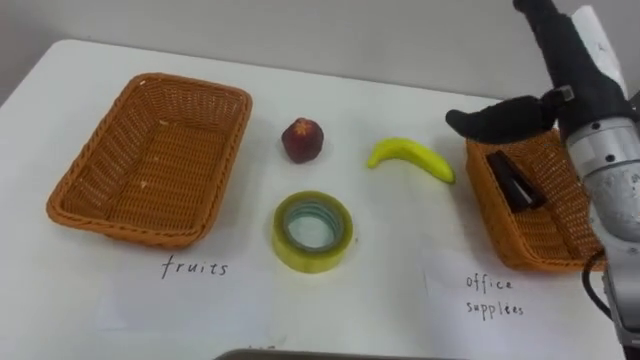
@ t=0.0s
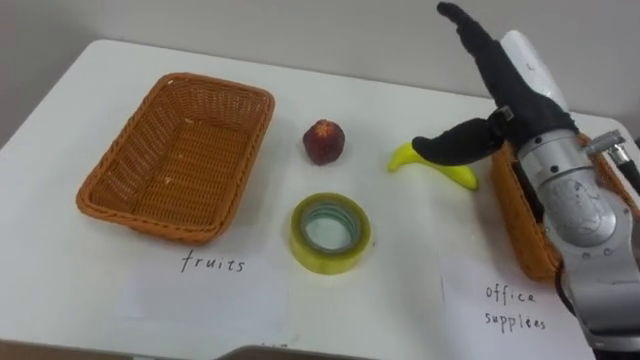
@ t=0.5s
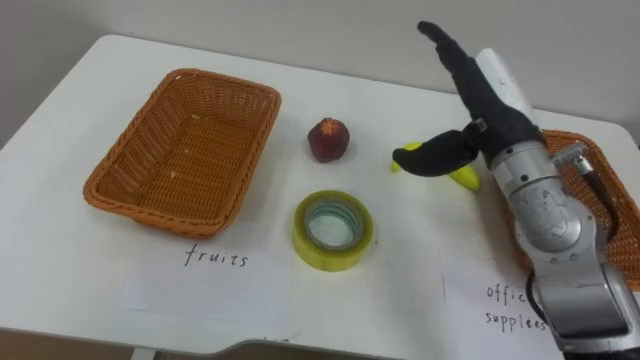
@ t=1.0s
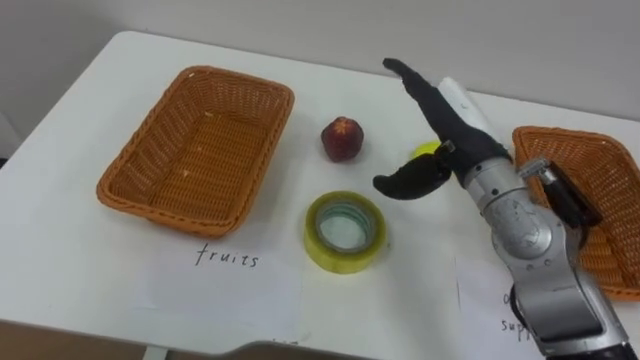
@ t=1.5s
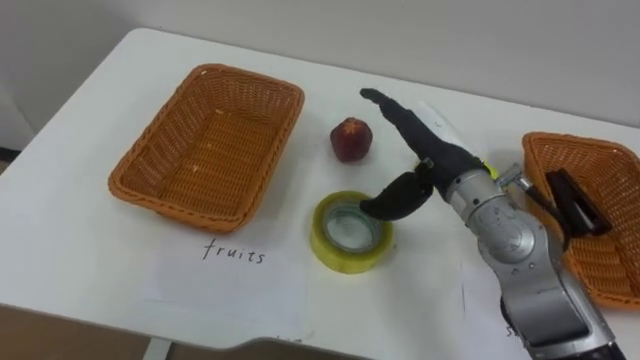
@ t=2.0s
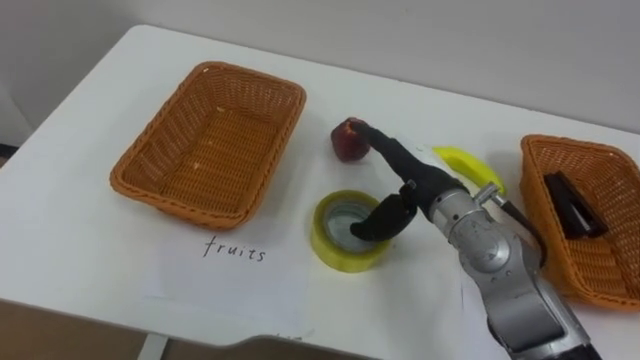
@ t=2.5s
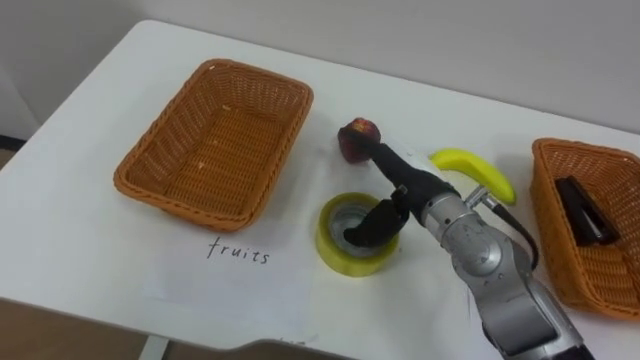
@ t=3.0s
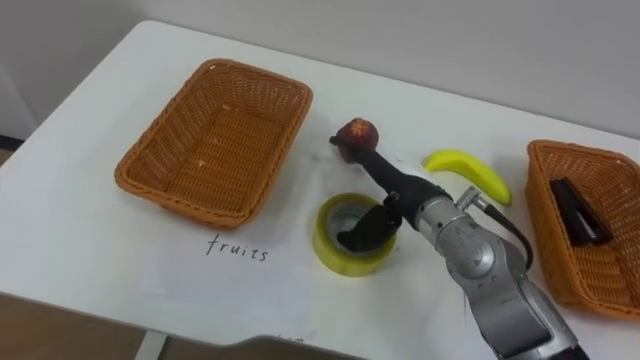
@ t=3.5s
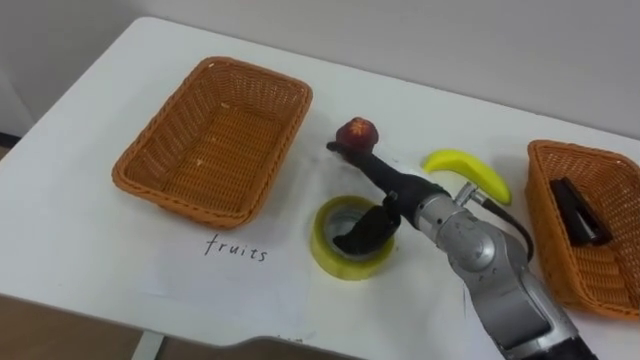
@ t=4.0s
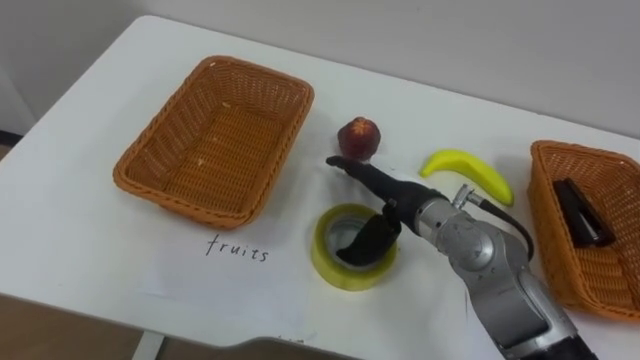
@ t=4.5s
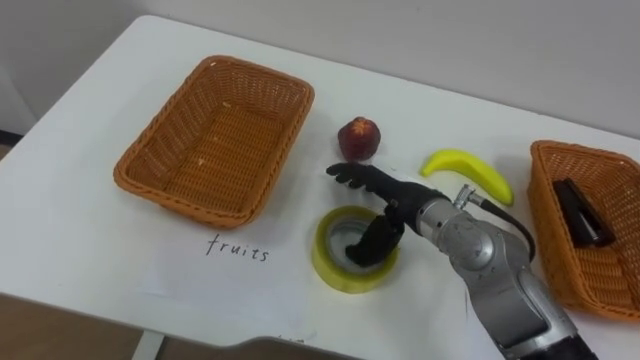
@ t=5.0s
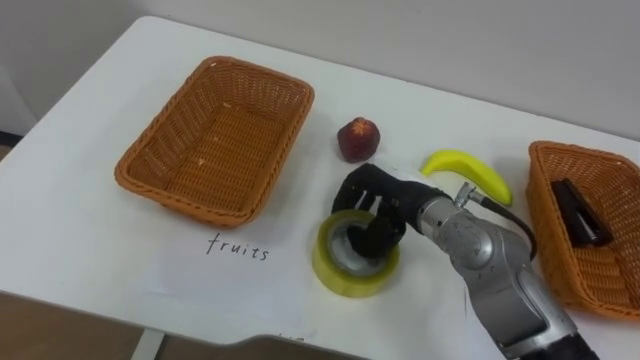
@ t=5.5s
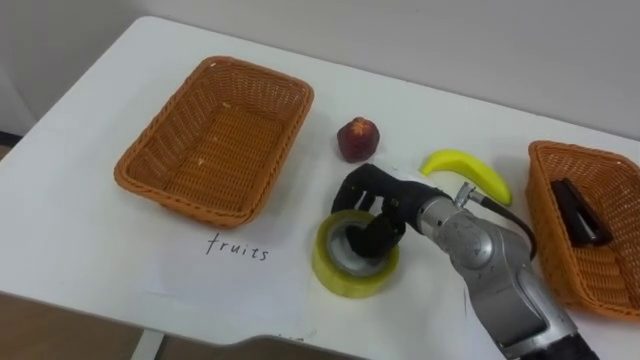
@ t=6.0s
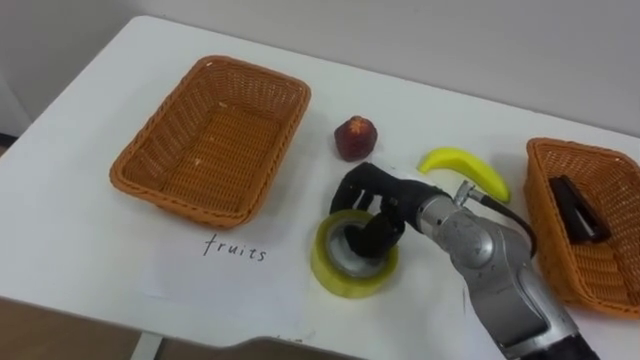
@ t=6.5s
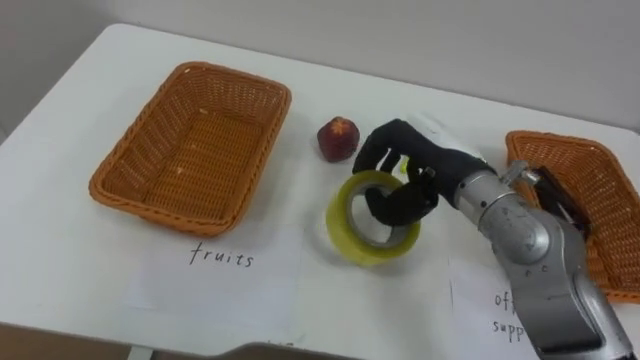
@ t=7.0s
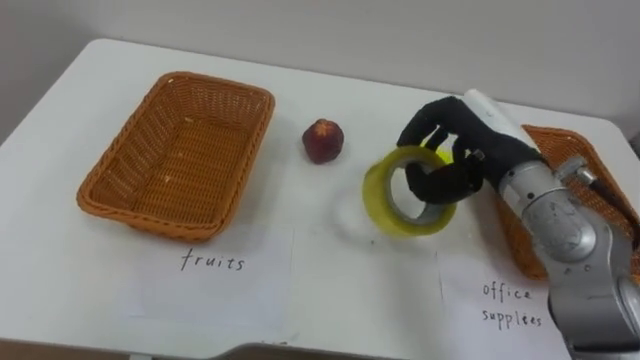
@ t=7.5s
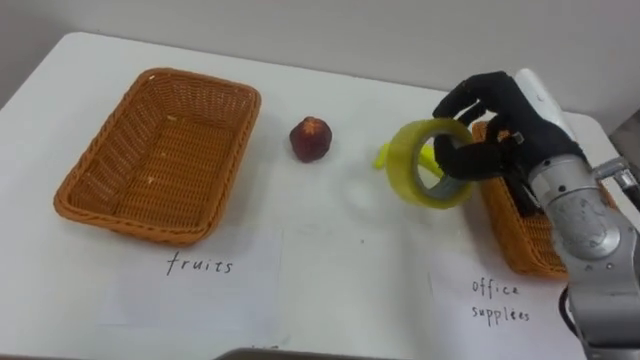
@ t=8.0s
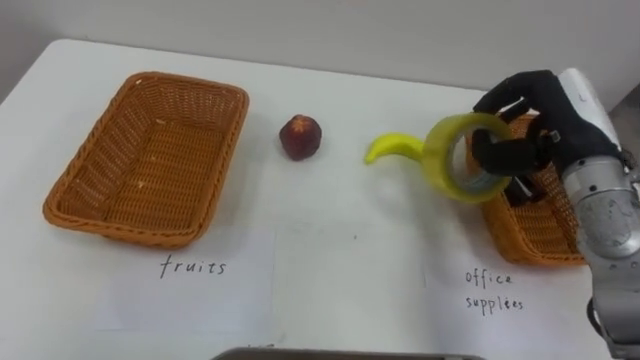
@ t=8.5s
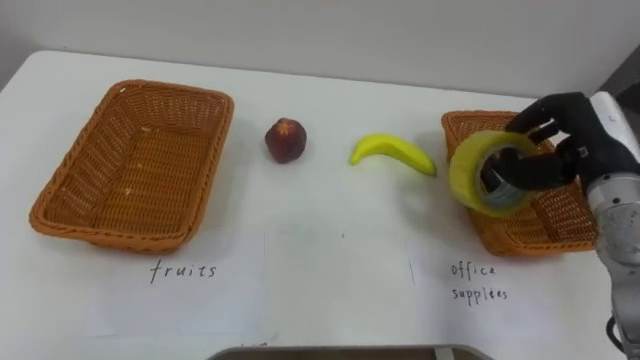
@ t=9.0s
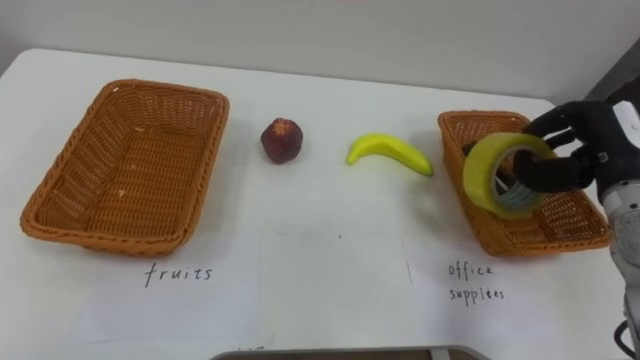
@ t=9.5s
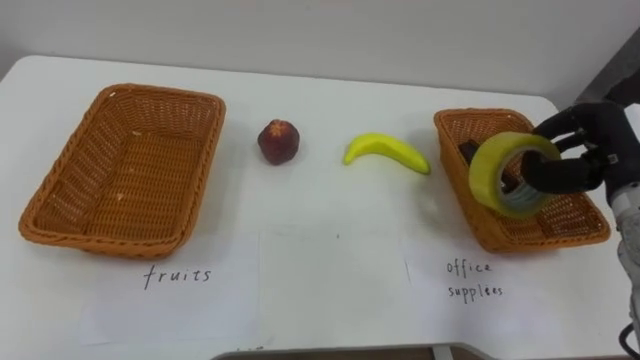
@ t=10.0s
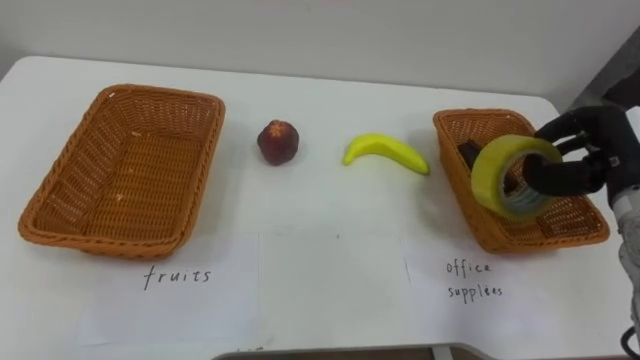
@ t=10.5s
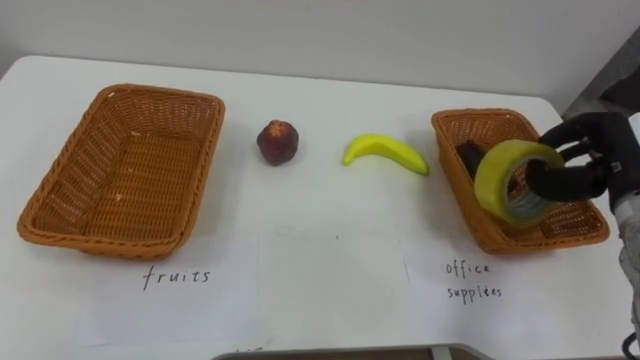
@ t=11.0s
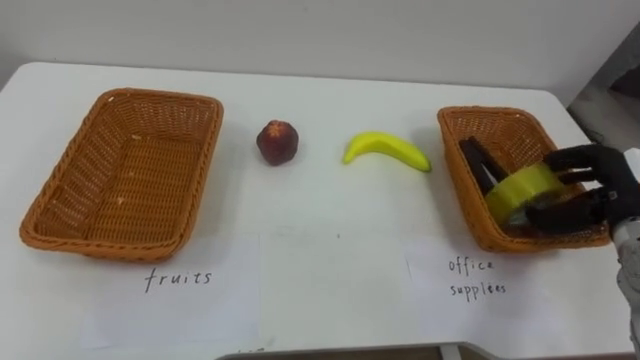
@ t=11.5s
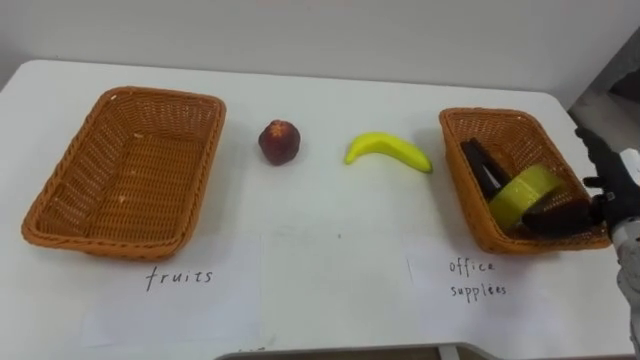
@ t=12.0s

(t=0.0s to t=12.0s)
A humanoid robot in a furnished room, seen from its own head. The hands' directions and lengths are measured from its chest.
Task of the whole recording: Separate the items on the table and place them into the two baskets.
t=0.0s - t=2.0s: The right hand travels to the left and downward by roughly 15 cm.
t=2.0s - t=4.0s: The right hand ends up approximately 5 cm from where it was.
t=4.0s - t=6.0s: The right hand closes its fingers.
t=6.0s - t=8.0s: The right hand moves to the right and upward, roughly 15 cm.
t=8.0s - t=10.0s: The right hand is displaced to the right by about 10 cm.
t=10.0s - t=12.0s: The right hand changes place by some 5 cm, and opens up.

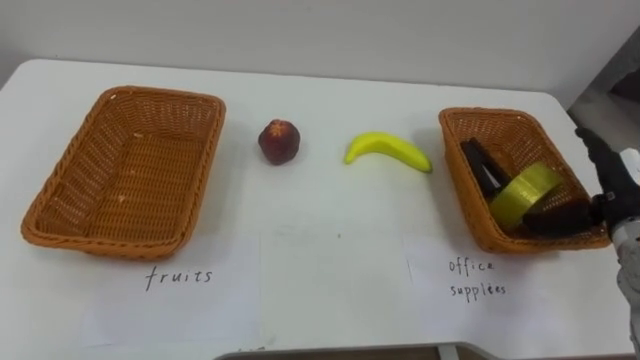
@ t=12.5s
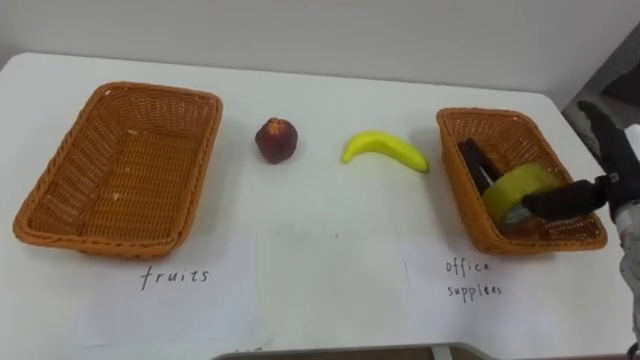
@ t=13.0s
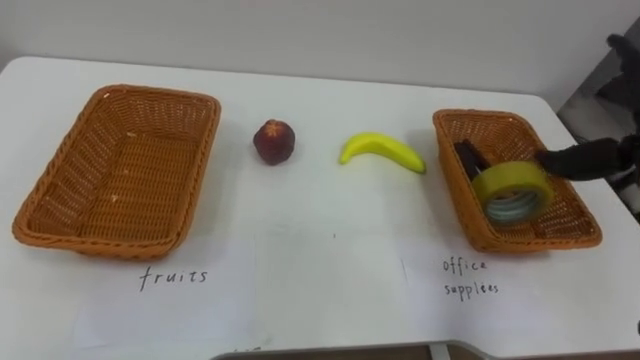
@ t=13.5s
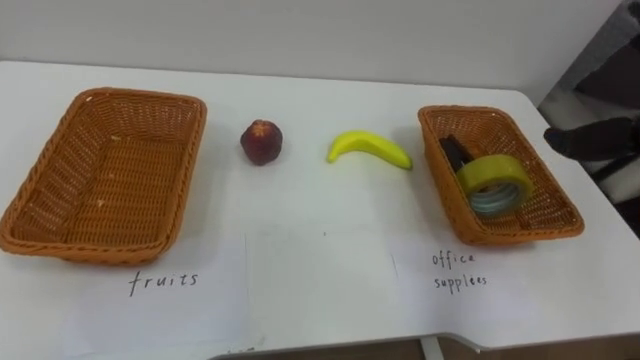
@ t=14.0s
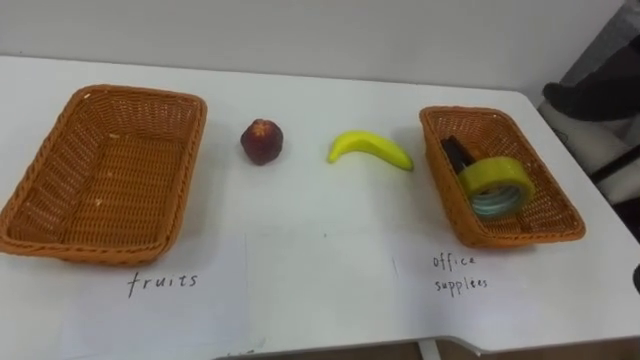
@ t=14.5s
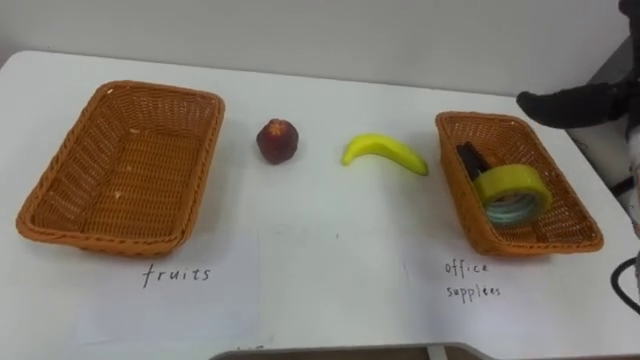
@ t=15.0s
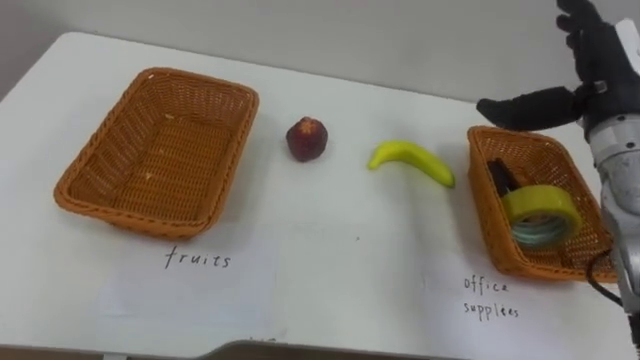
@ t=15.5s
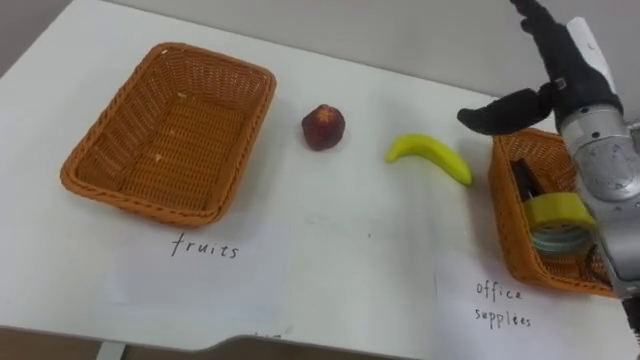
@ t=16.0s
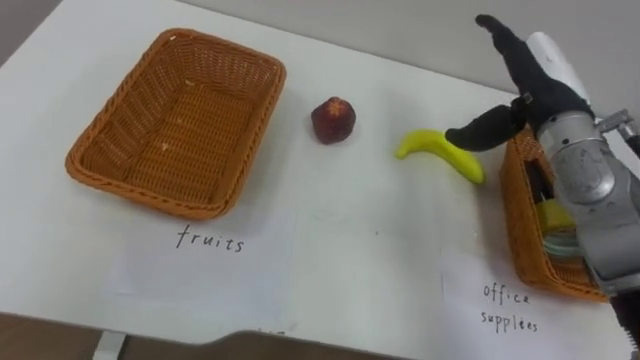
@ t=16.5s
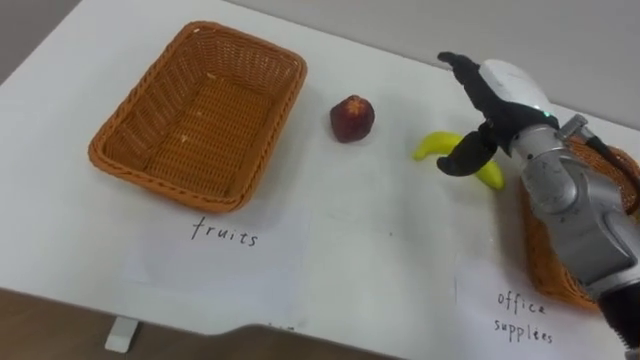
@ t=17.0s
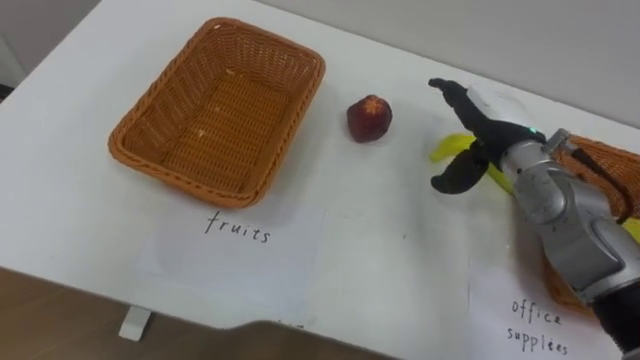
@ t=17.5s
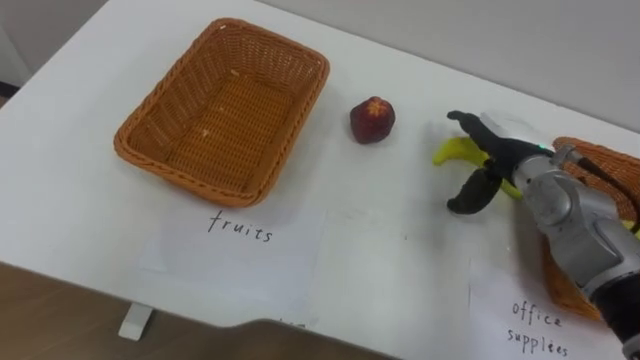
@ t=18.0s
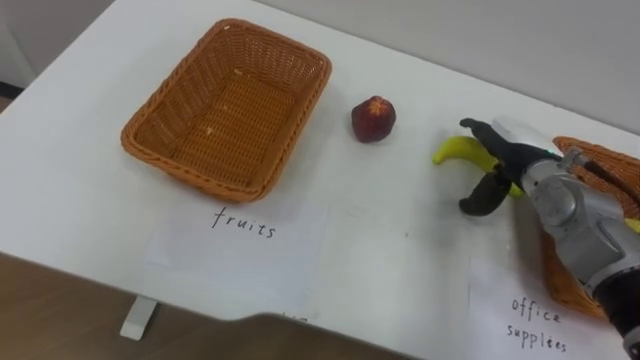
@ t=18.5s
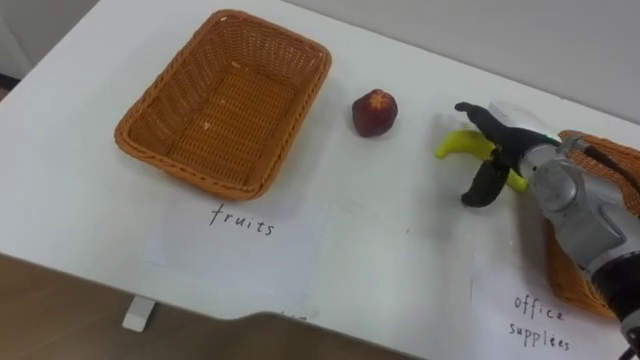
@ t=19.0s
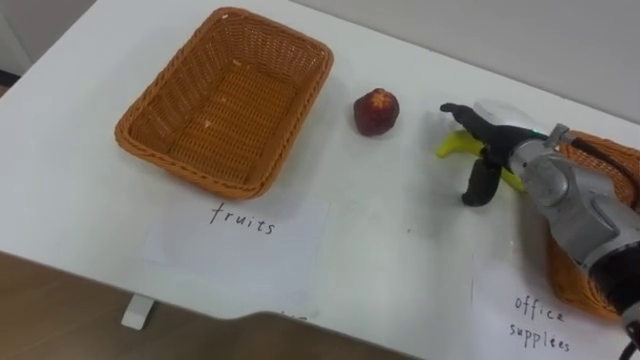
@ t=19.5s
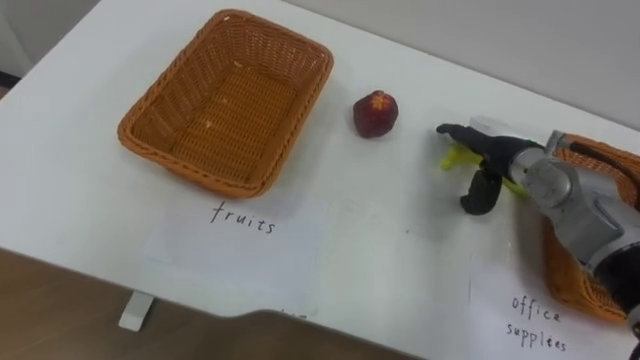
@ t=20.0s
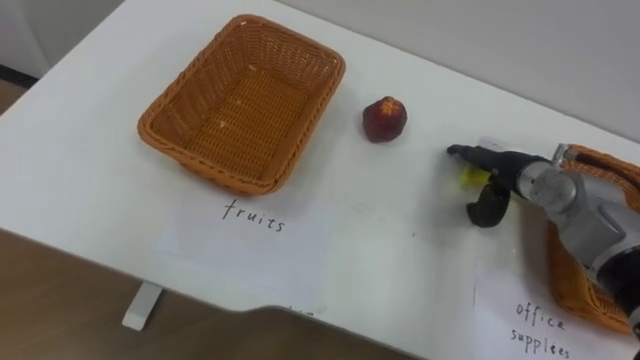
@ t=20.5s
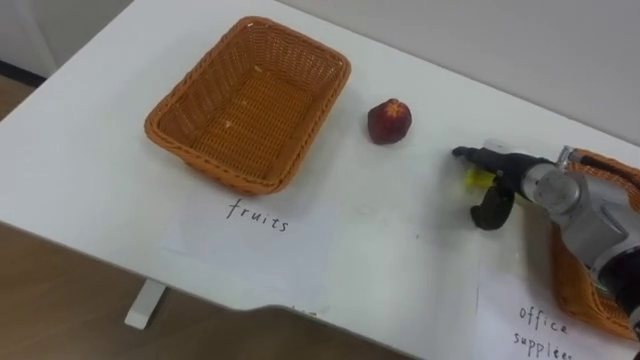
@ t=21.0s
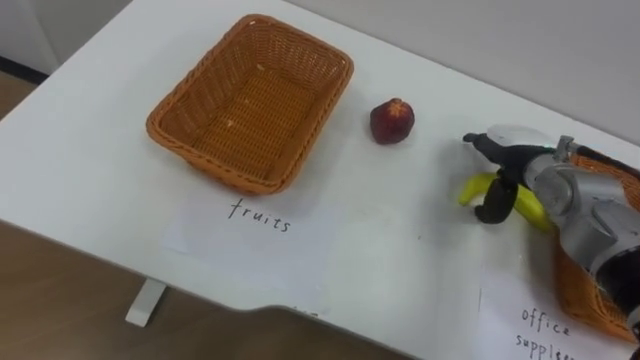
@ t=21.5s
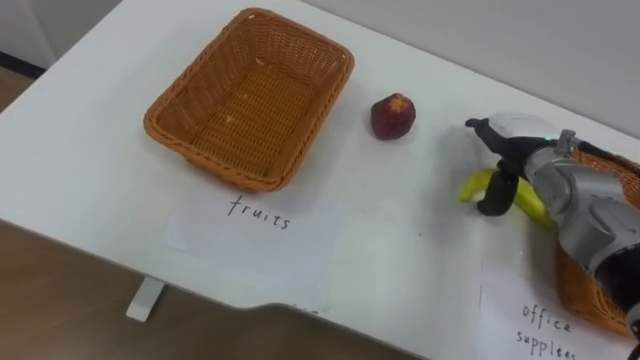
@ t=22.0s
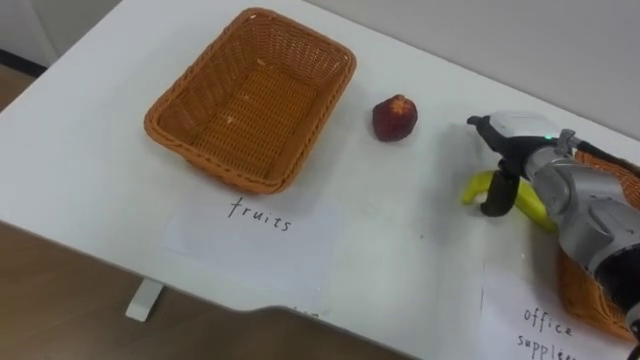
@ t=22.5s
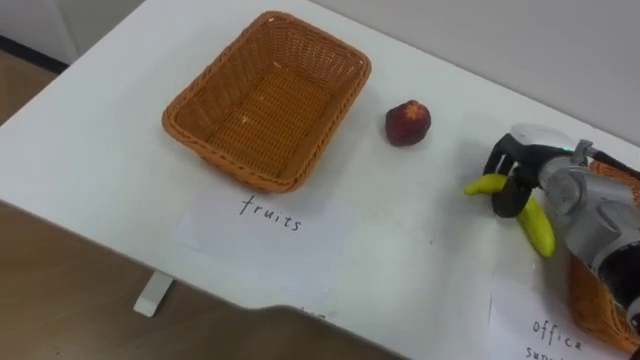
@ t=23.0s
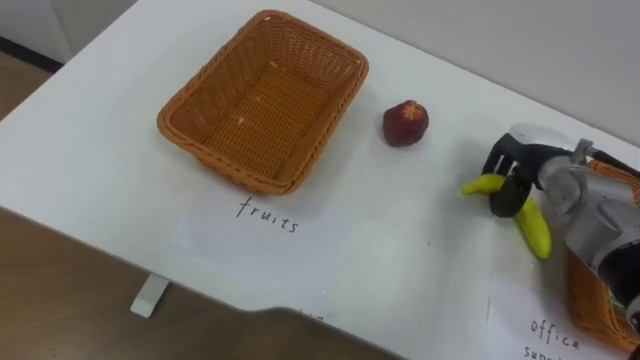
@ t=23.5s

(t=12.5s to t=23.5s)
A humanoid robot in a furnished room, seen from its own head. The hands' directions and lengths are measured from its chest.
Task of the whole recording: Separate the items on the table and place them into the two baskets.
t=16.0s - t=18.0s: The right hand goes about 10 cm downward.
t=21.5s - t=23.5s: The right hand closes up.
